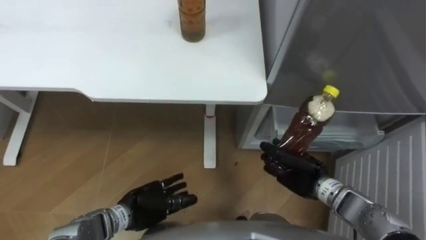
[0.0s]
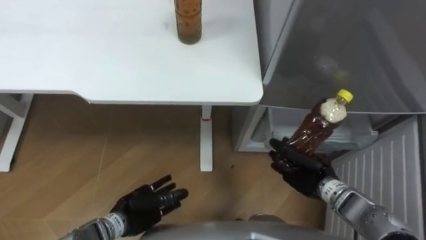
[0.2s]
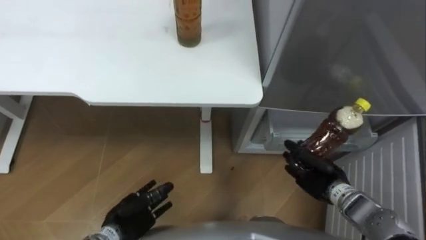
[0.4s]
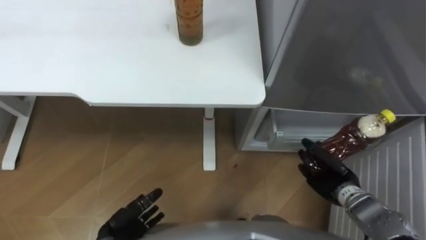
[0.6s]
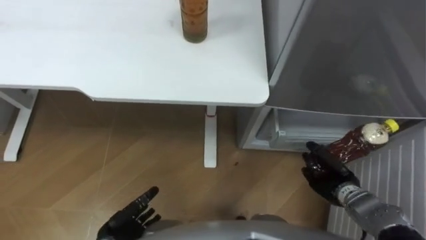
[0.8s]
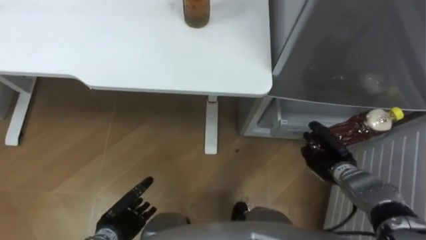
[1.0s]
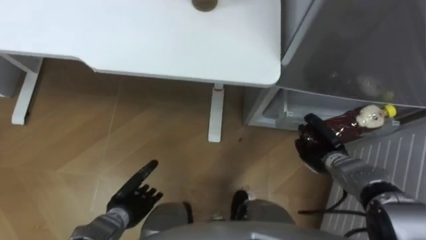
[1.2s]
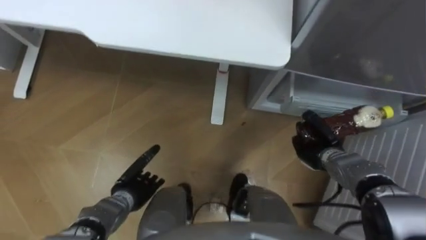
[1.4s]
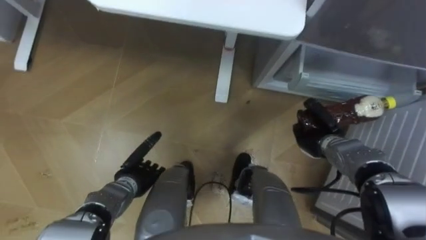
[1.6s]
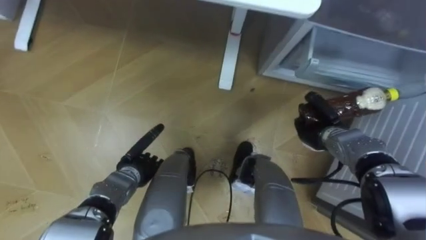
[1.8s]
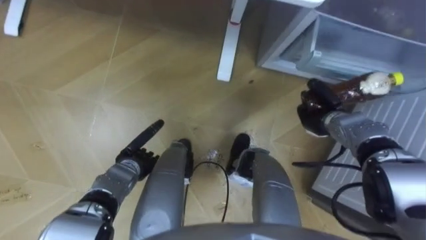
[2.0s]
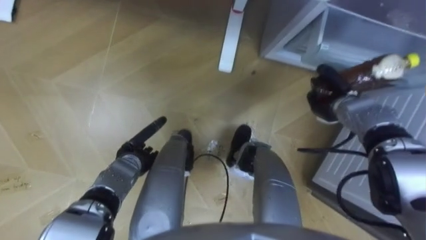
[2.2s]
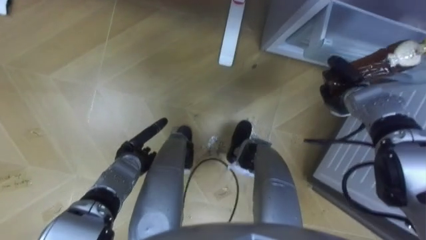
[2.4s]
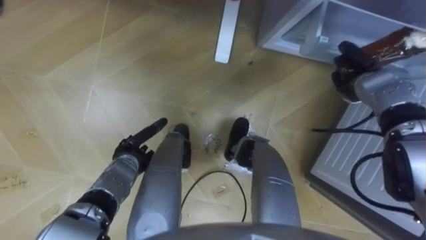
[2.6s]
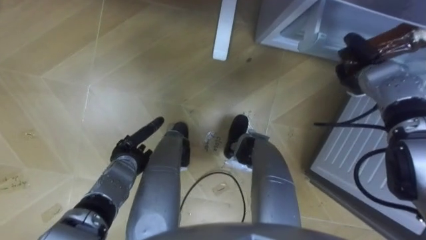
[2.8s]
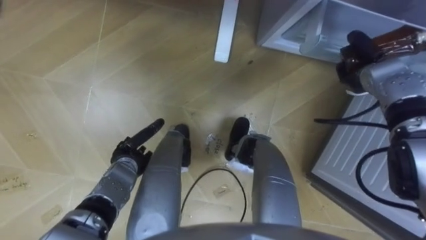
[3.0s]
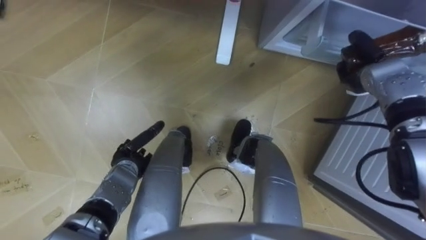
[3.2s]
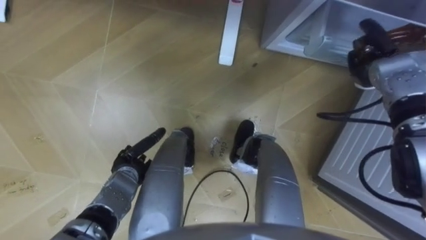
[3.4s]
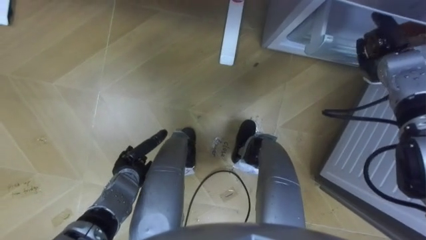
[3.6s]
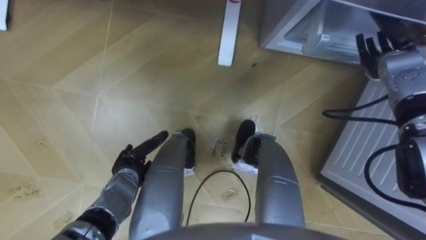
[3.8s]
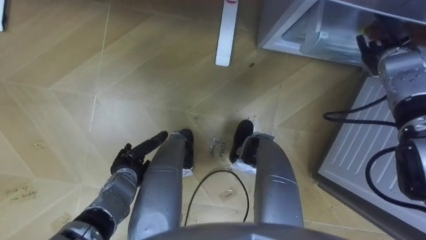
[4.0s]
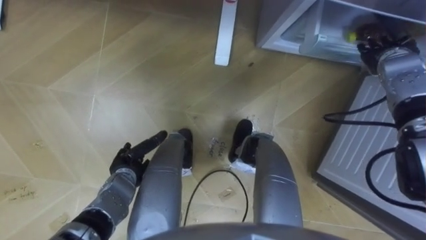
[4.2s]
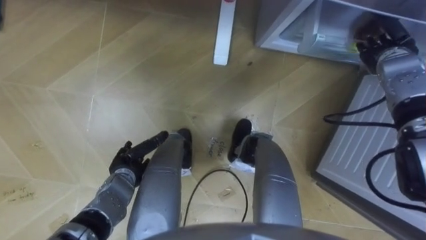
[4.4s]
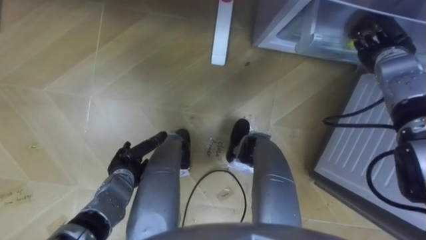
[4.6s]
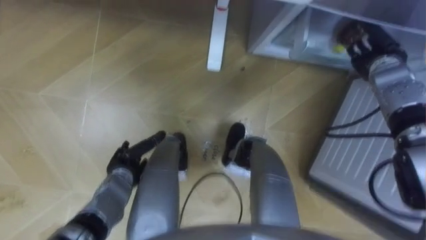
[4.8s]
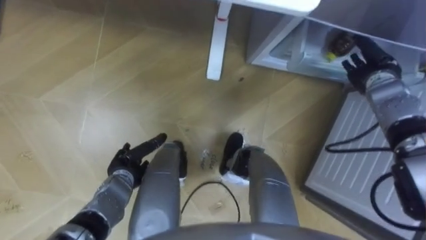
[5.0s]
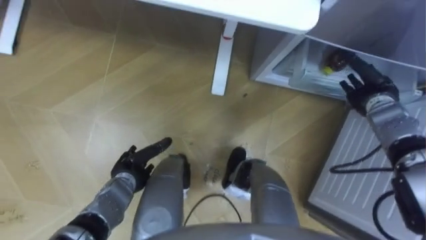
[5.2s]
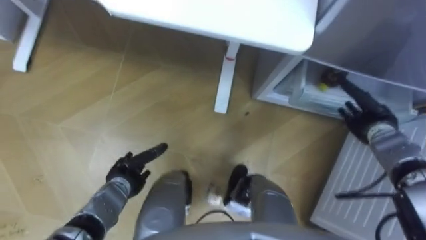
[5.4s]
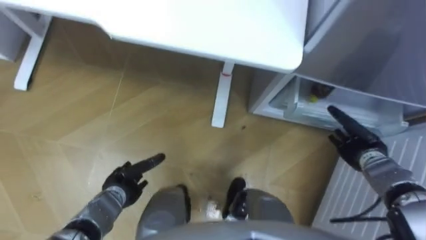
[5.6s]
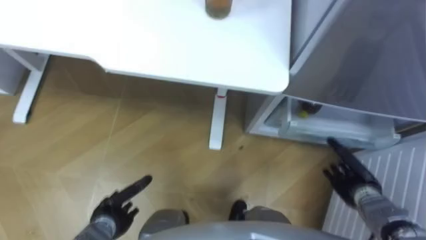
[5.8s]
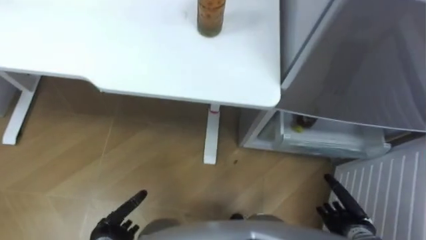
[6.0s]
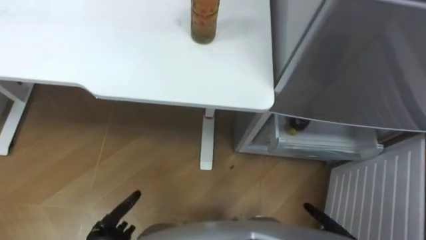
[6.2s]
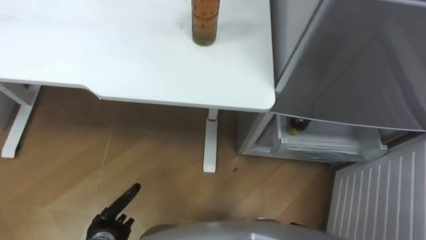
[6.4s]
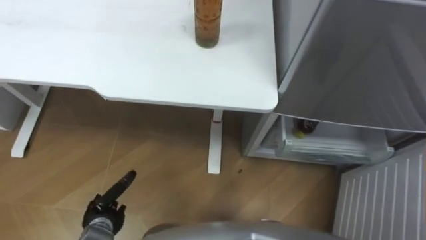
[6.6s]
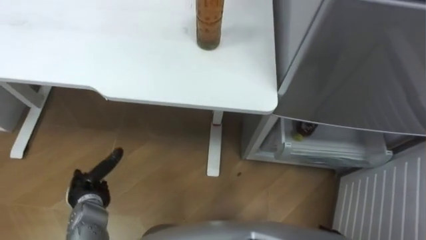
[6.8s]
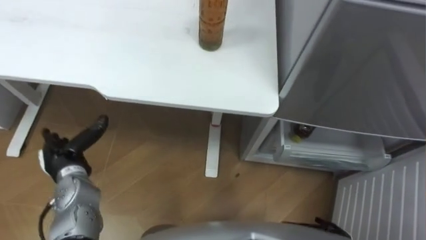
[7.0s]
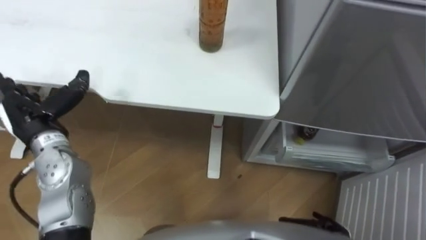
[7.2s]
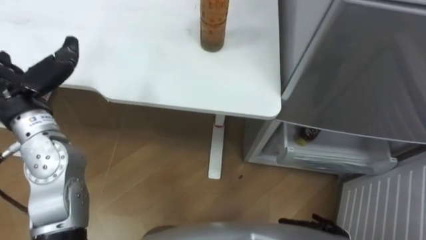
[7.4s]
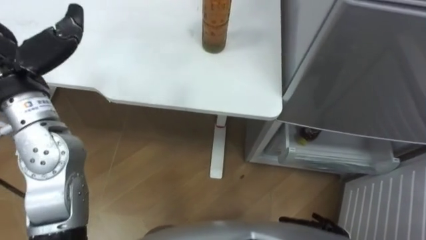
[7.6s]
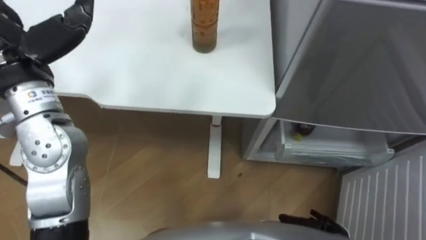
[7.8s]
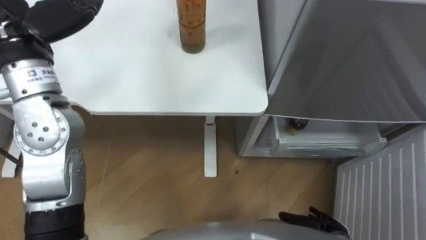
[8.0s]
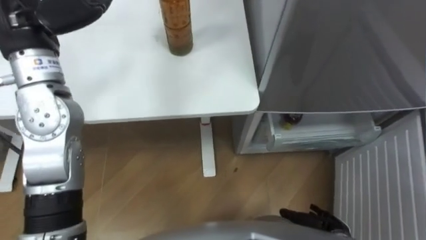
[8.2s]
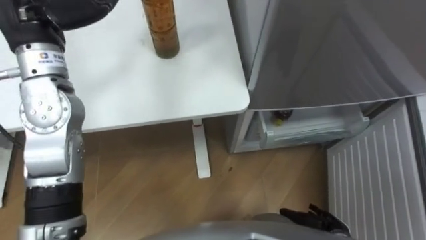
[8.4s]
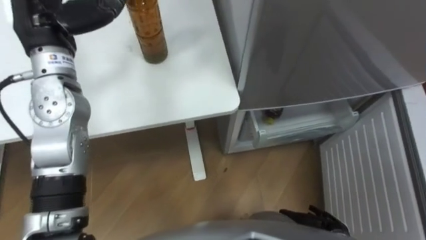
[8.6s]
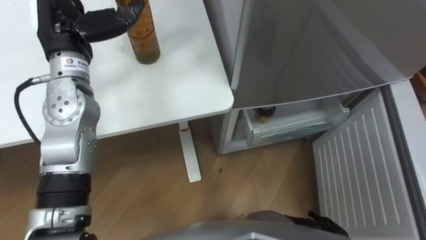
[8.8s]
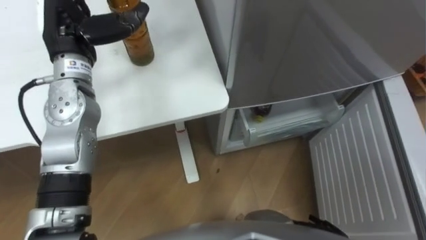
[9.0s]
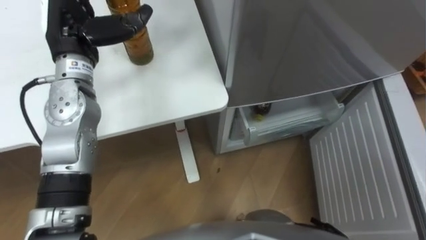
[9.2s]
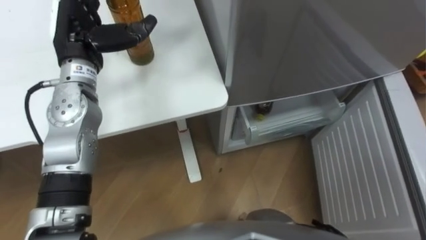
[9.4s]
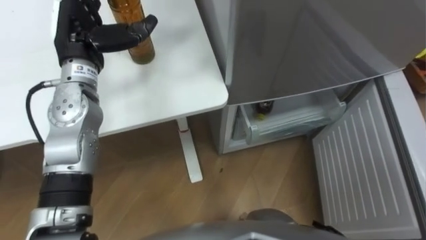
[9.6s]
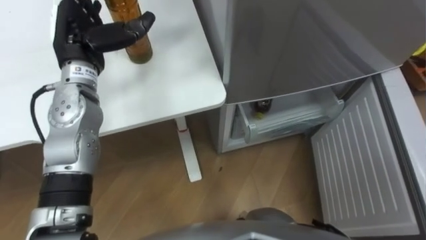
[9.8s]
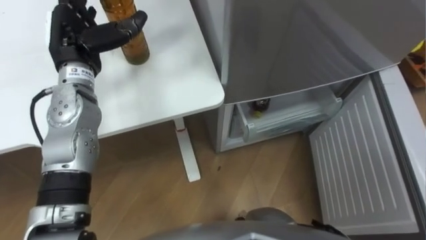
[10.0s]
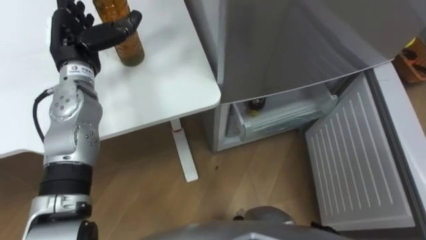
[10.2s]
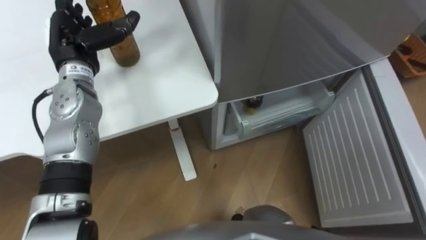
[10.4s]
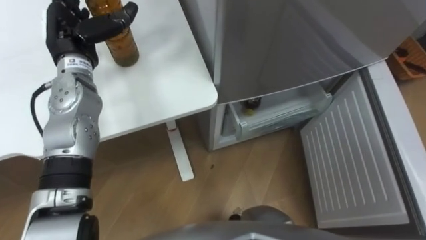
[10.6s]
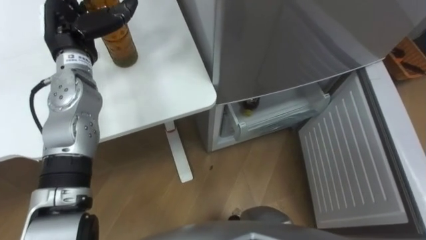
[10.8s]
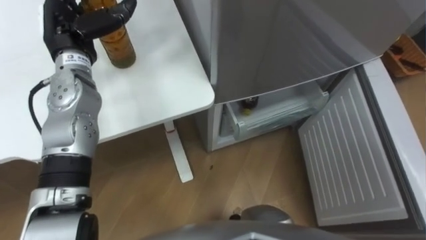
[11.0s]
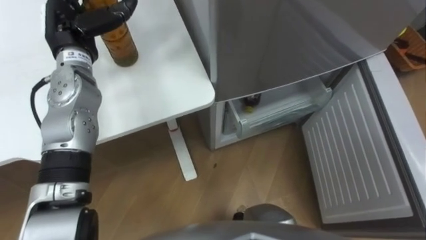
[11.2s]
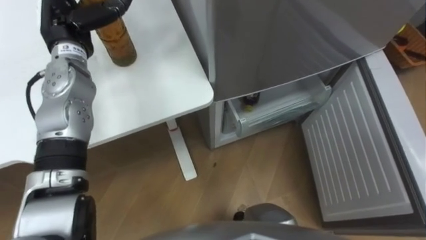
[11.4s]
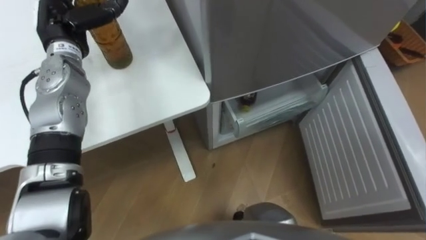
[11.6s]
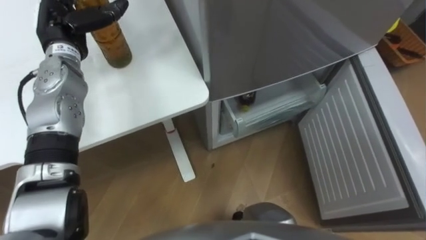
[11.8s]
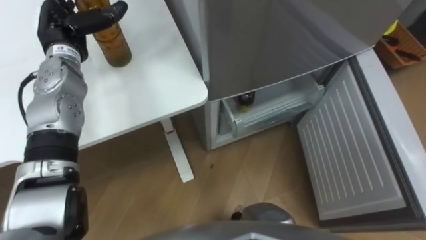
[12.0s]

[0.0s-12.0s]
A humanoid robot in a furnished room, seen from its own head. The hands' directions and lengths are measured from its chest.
Task of the whole recording: Place the drink on the table on the bottom shelf of the refrigerator, then close the drawer and the refrigerator door.
0.0s to 1.6s: The right hand is displaced forward and to the right by some 10 cm, while the left hand travels forward by about 5 cm.
1.6s to 3.0s: The right hand is displaced upward, forward and to the right by about 15 cm.
3.0s to 4.4s: The right hand changes place by about 5 cm, and opens its fingers.
4.4s to 6.0s: The left hand is displaced backward by about 15 cm; the right hand shifts approximately 40 cm backward and downward.
7.6s to 9.0s: The left hand shifts roughly 10 cm forward and to the right.
9.0s to 10.4s: The left hand changes place by some 5 cm.

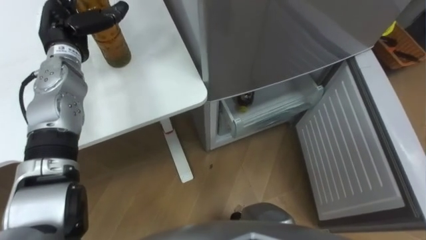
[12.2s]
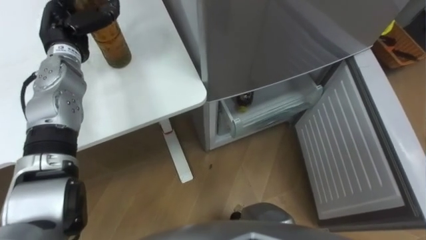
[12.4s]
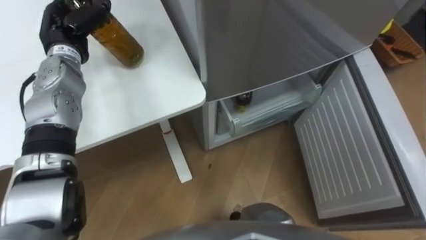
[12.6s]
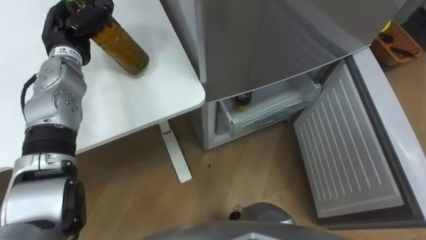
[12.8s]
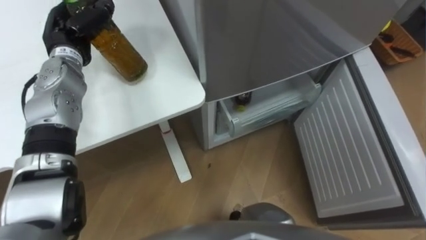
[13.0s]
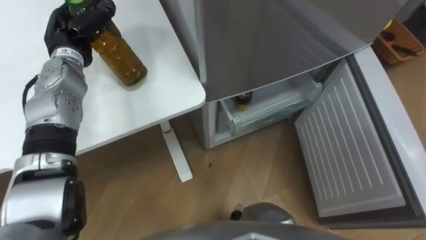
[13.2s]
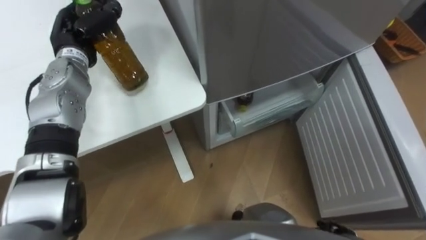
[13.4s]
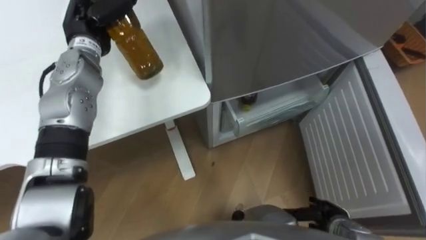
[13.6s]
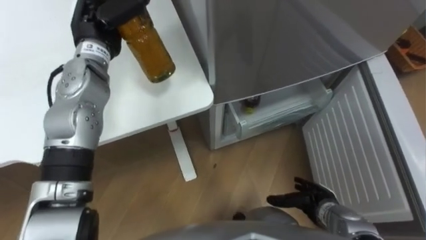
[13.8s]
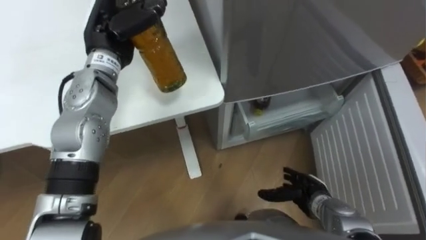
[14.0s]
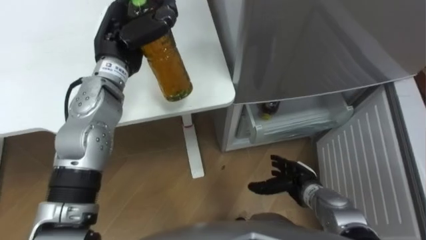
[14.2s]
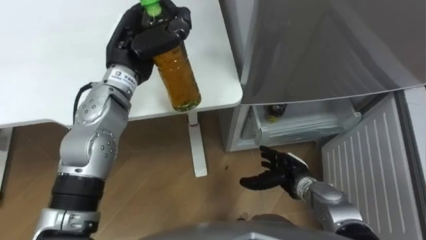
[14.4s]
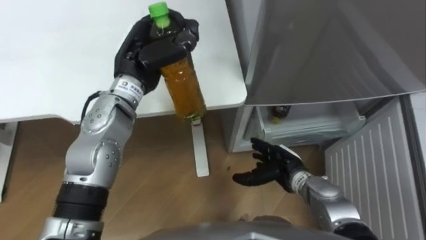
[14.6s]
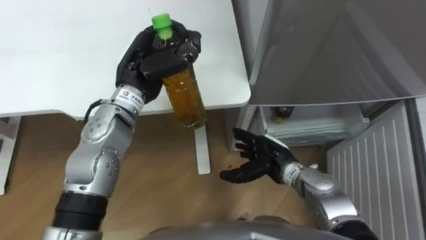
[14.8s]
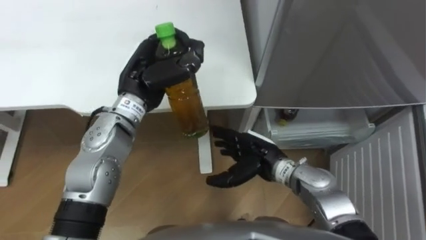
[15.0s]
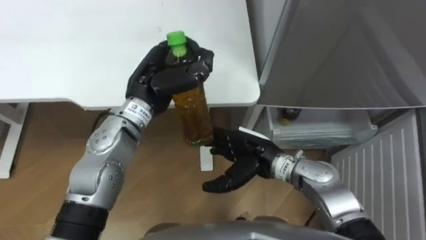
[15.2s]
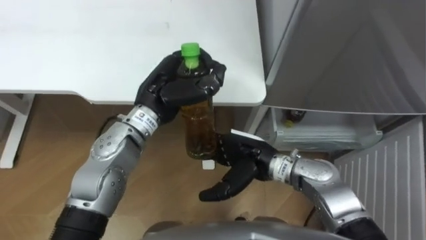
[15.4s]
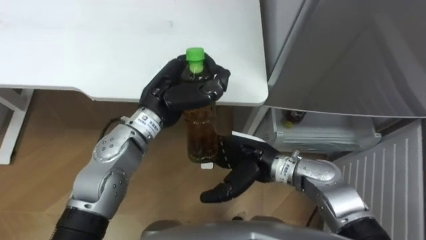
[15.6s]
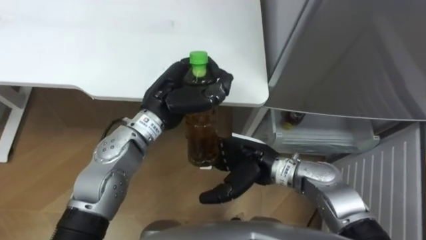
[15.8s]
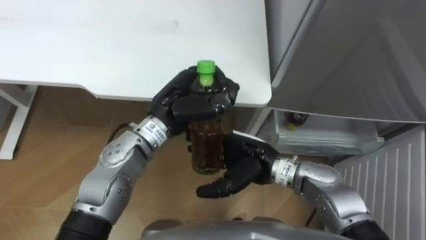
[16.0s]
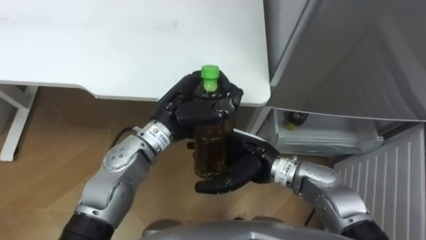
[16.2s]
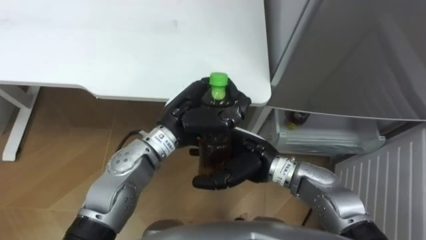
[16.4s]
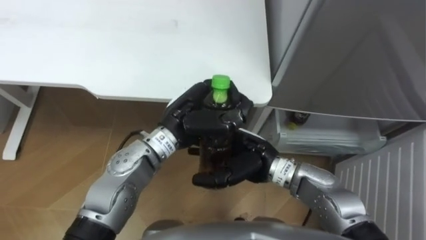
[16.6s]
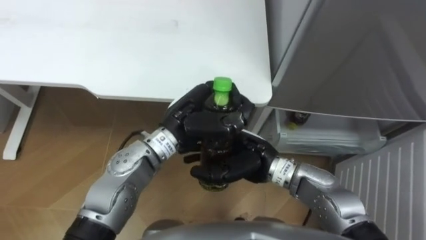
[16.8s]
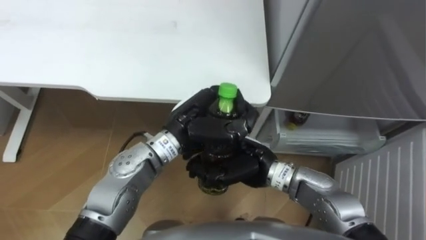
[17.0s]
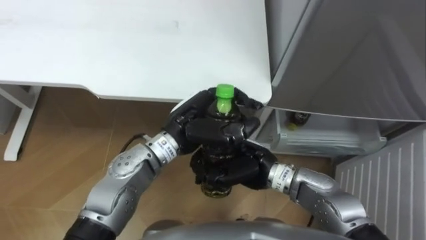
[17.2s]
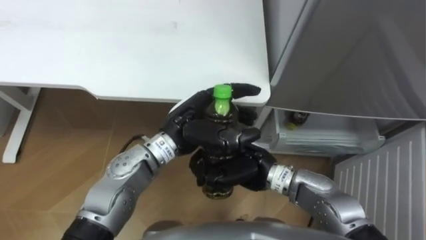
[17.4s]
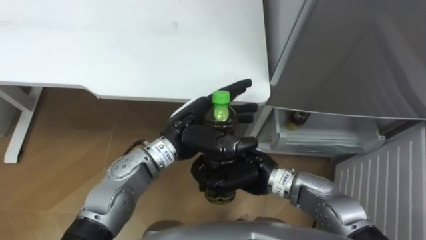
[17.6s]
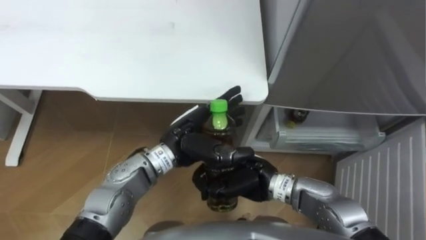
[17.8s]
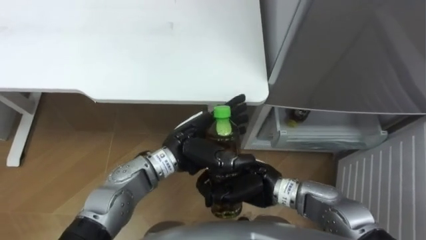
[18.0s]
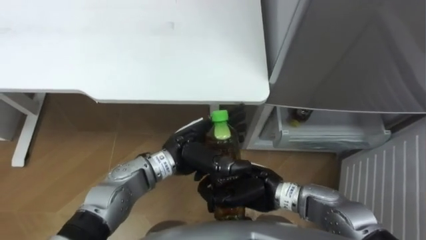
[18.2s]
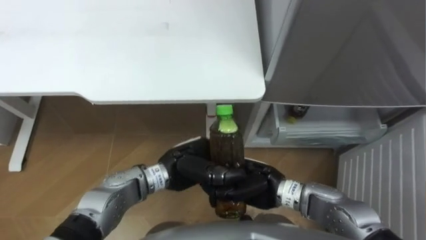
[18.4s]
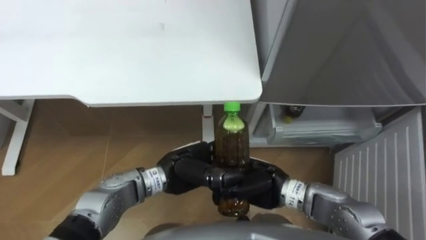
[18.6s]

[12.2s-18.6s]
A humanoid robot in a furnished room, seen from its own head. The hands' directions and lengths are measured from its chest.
Task of the whole recording: Place the drink on the table on the bottom shelf of the refrigerator, then close the drawer and the refrigerator door.
12.2s to 13.8s: The left hand heads to the right, covering some 5 cm, and closes.
13.8s to 15.4s: The left hand shifts roughly 15 cm to the right, backward and downward, while the right hand is displaced to the left, upward and forward by approximately 25 cm.
15.4s to 17.0s: The right hand closes its fingers, while the left hand goes roughly 5 cm to the right.
17.0s to 18.6s: The right hand moves roughly 5 cm. Meanwhile the left hand travels downward and backward by approximately 10 cm, and opens.
